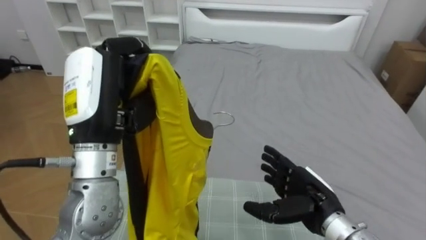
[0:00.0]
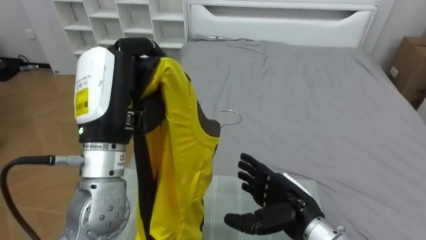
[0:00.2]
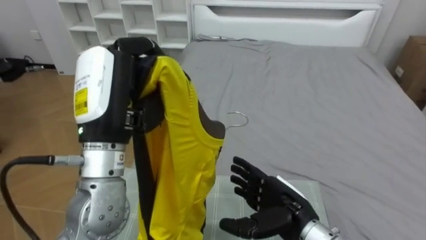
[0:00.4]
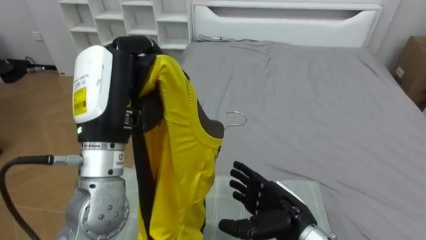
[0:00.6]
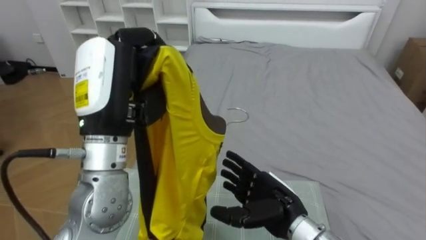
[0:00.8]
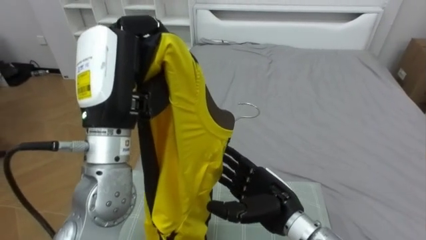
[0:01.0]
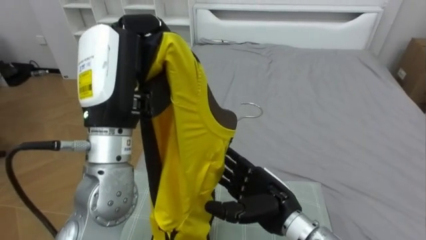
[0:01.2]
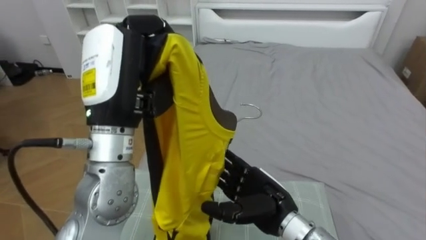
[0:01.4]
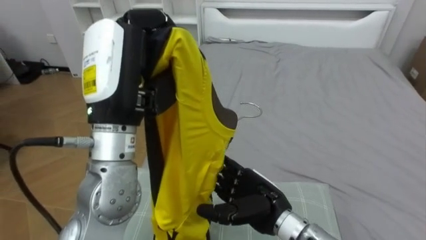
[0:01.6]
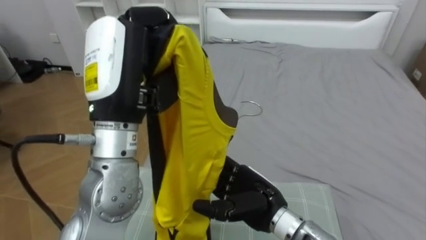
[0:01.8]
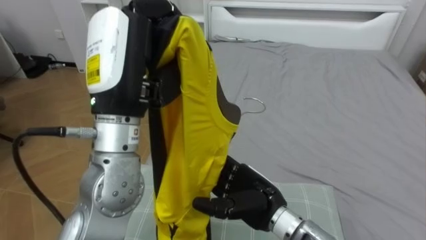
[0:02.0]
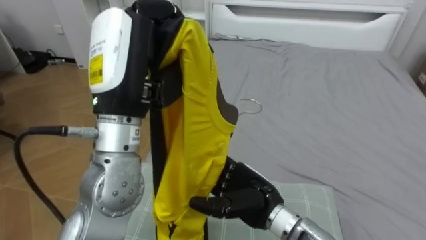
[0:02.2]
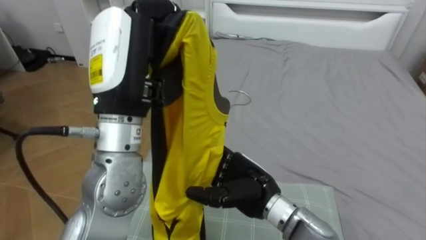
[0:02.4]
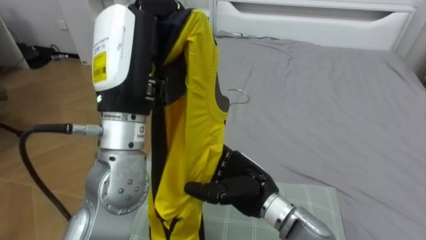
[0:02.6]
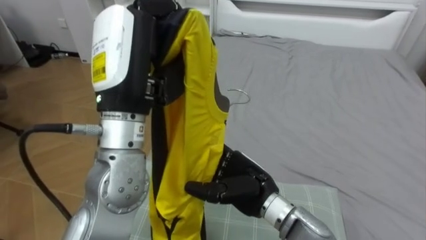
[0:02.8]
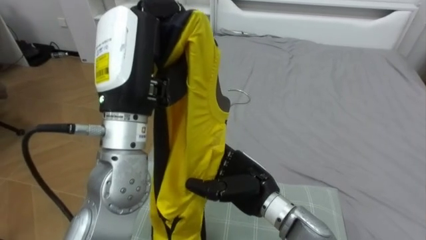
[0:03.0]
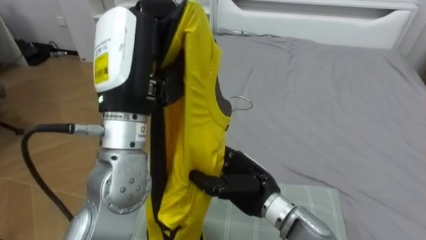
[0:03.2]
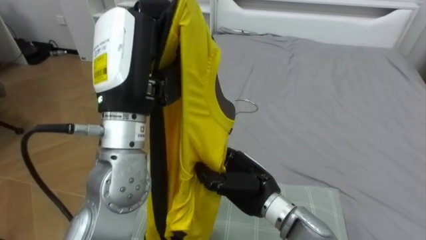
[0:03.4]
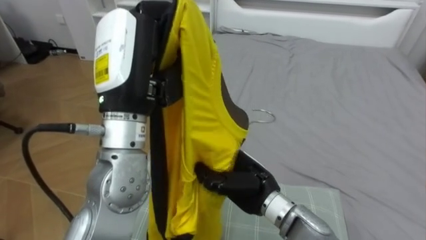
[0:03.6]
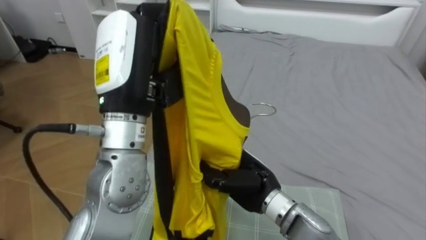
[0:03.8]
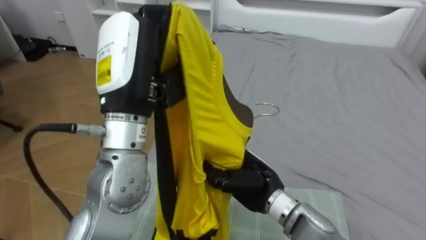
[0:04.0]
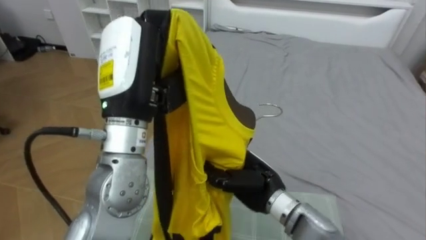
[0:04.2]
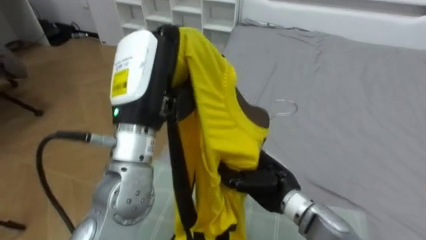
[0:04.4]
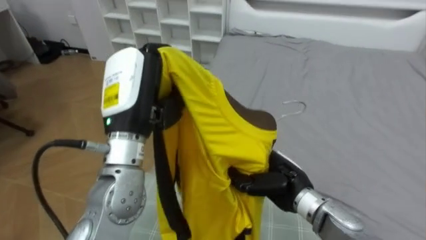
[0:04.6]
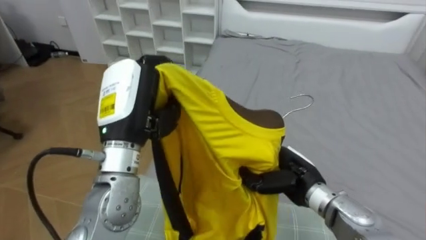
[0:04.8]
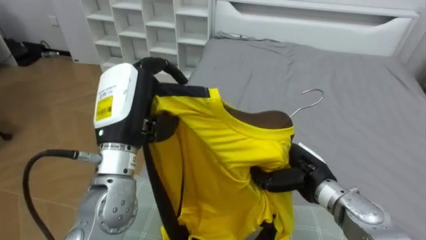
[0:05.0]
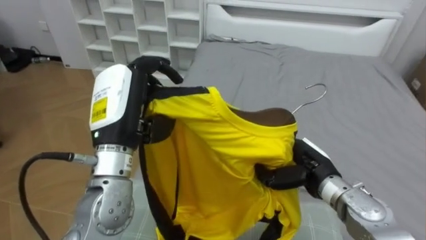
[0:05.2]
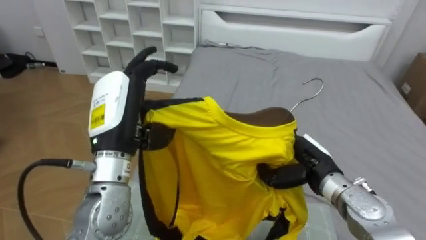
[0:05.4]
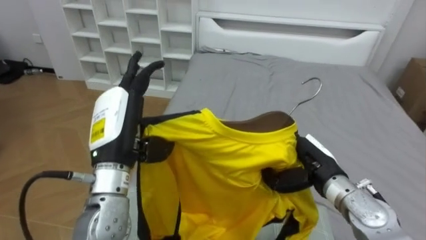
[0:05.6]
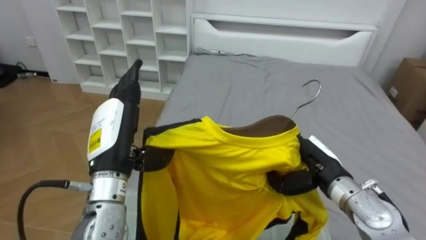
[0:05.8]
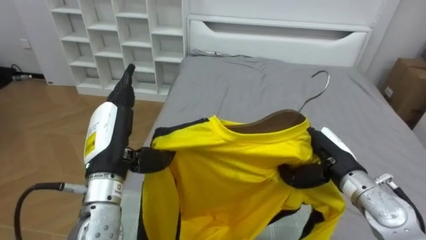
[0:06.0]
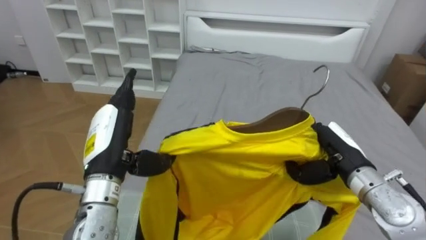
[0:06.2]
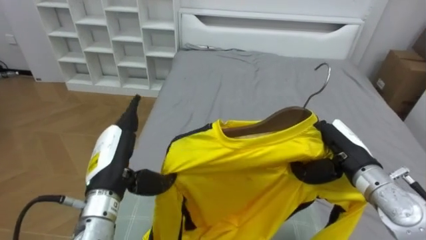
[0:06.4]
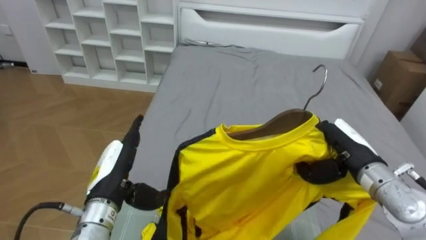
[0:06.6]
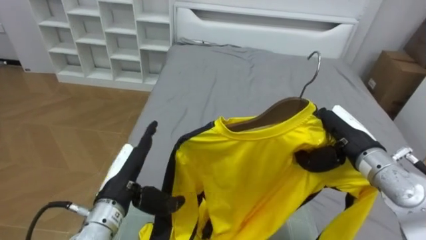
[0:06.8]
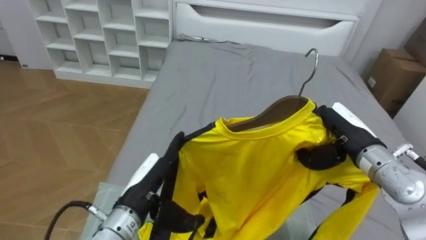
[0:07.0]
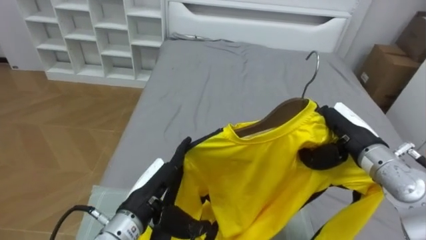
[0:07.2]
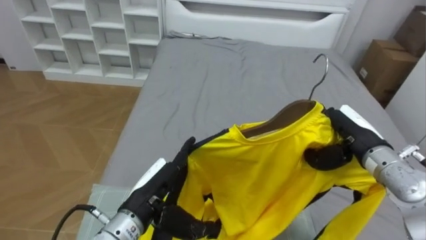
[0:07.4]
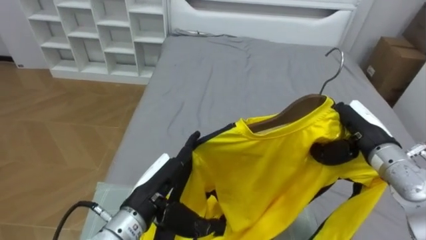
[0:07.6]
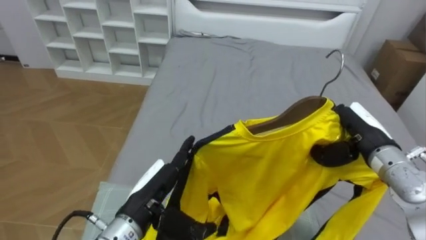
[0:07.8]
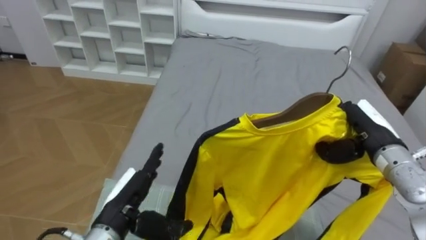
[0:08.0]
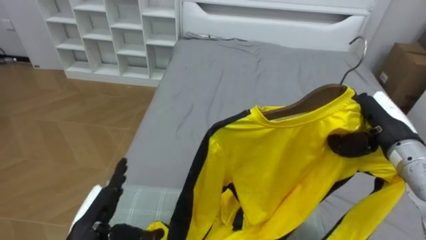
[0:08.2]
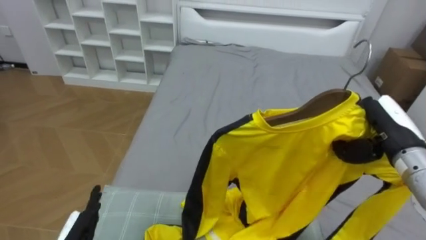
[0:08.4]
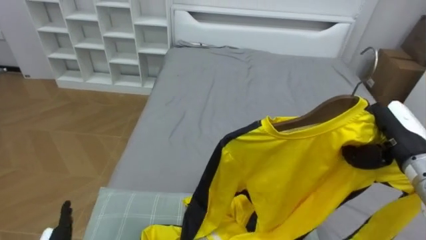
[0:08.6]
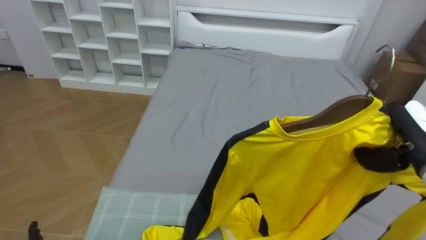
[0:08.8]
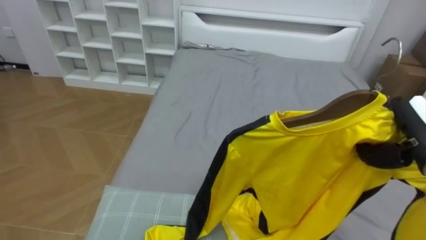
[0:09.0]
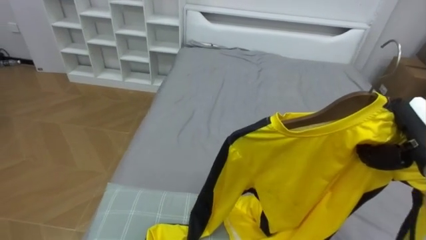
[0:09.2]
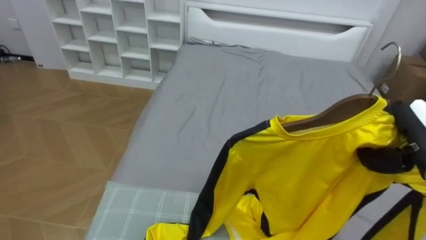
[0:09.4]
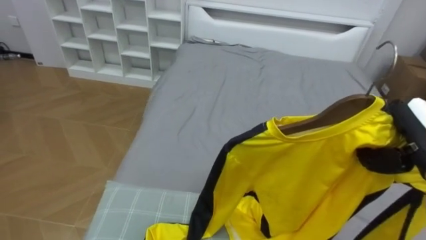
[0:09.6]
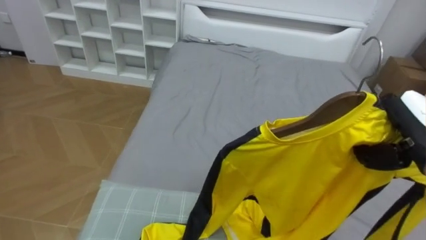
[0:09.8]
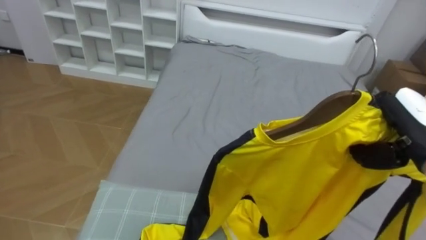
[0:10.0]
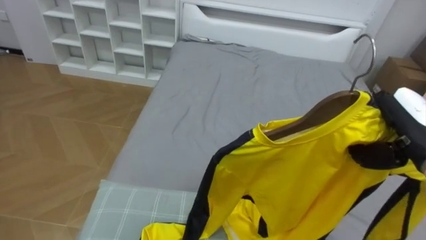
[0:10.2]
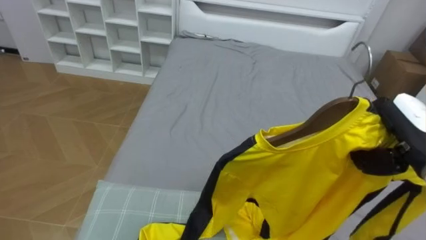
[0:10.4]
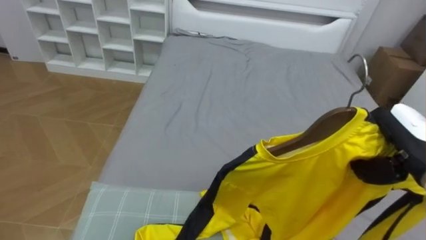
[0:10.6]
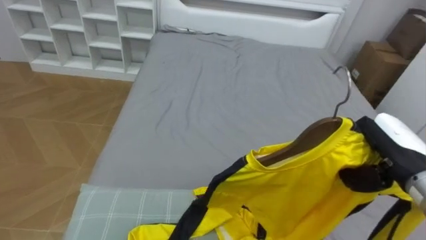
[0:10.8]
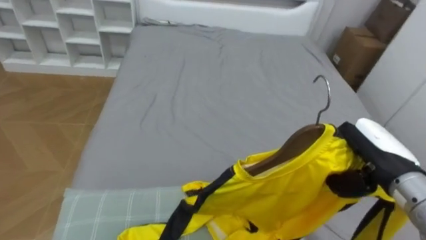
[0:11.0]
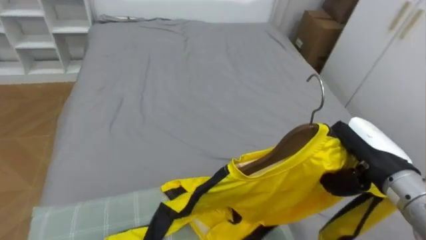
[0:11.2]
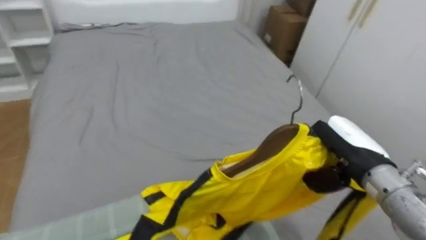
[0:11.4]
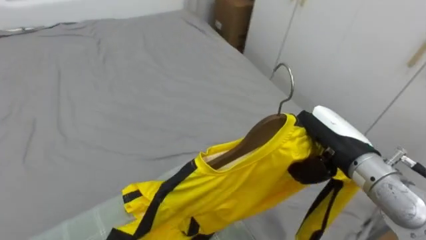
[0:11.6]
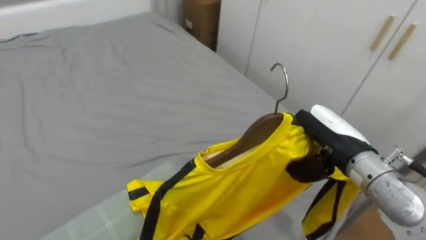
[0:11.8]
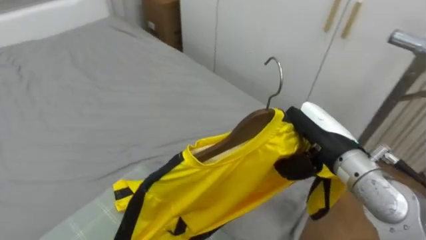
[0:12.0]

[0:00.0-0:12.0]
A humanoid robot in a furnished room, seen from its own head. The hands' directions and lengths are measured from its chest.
Task of the whole recording: Pick up the yellow shirt on the bed and hang it on the clothes rack on the right.
0:00.0 to 0:01.6: The right hand travels to the left by about 10 cm.
0:03.0 to 0:04.4: The right hand moves approximately 5 cm, and closes.
0:04.4 to 0:06.0: The left hand moves downward and to the left, some 15 cm, and opens up; the right hand travels to the right by approximately 10 cm.
0:06.0 to 0:07.6: The left hand shifts approximately 10 cm downward and to the right. Meanwhile the right hand moves approximately 5 cm.
0:07.6 to 0:09.0: The right hand moves to the right, about 5 cm.
0:10.4 to 0:12.0: The robot faces roughly 55 degrees further to its right. The right hand heads to the left, covering some 10 cm.

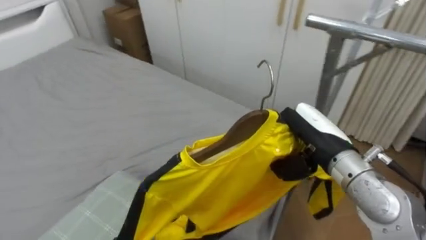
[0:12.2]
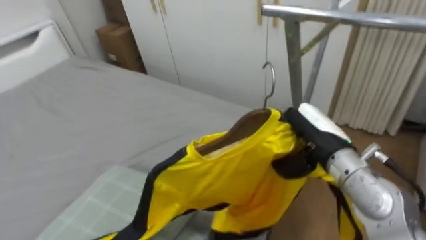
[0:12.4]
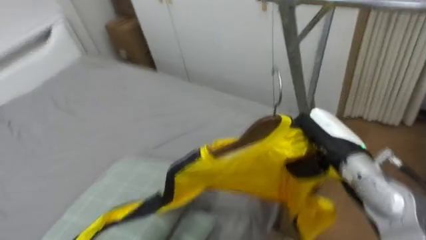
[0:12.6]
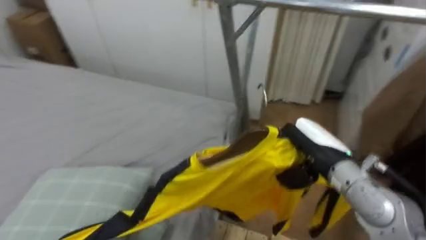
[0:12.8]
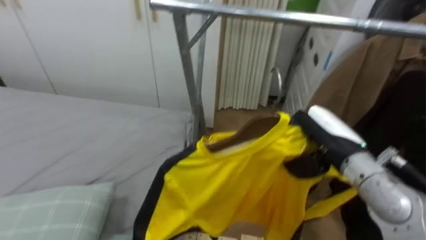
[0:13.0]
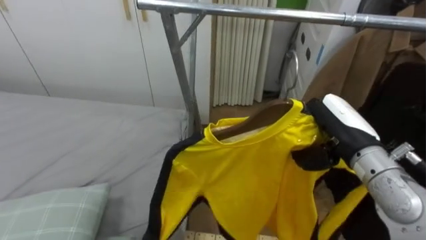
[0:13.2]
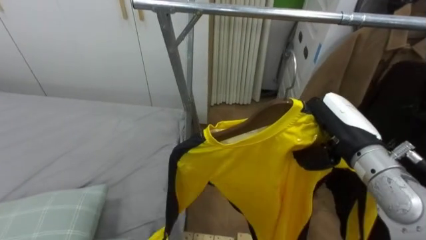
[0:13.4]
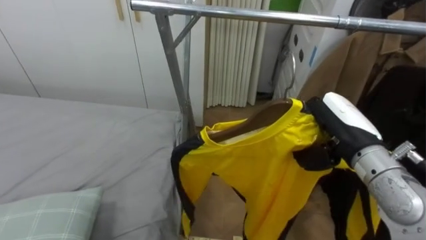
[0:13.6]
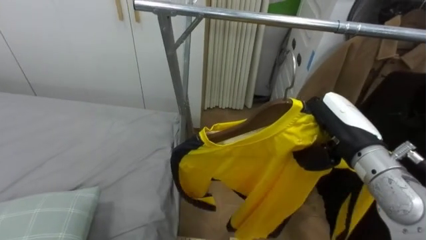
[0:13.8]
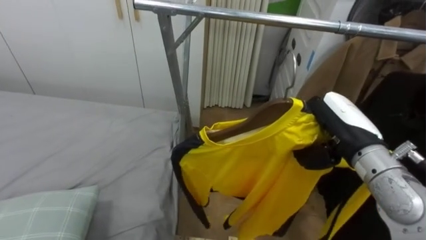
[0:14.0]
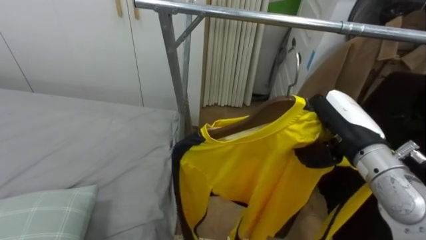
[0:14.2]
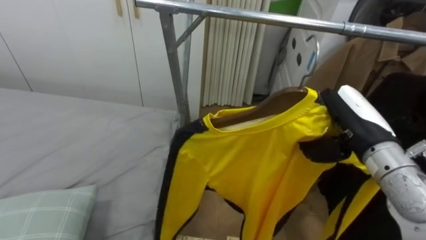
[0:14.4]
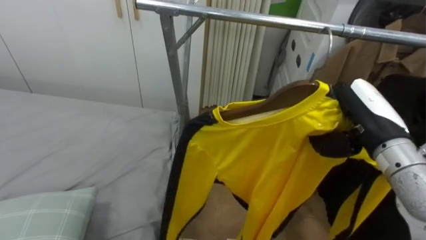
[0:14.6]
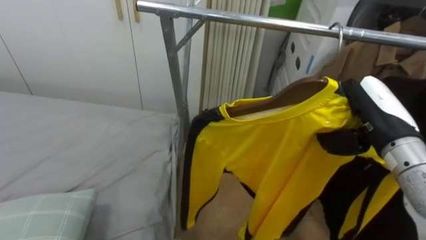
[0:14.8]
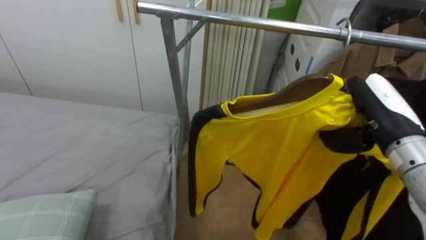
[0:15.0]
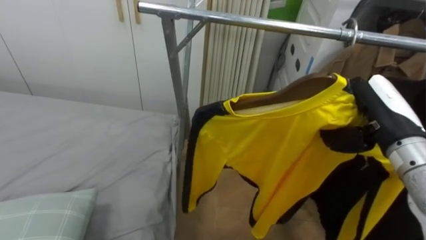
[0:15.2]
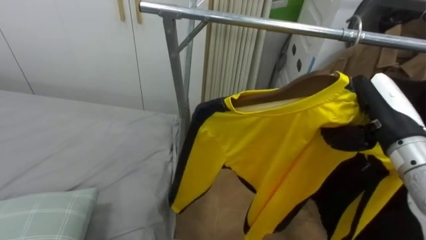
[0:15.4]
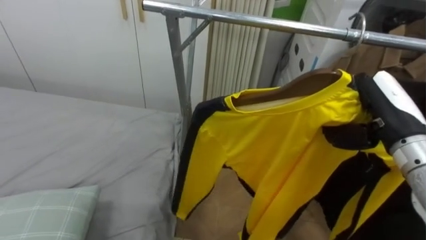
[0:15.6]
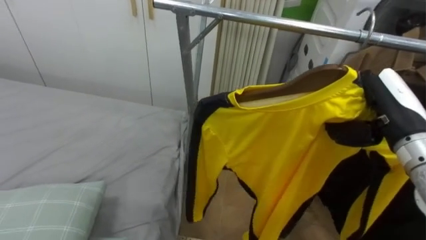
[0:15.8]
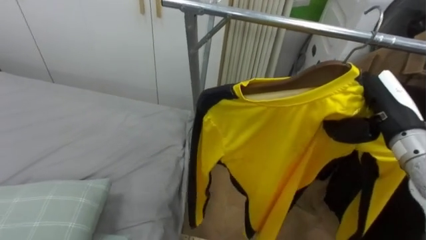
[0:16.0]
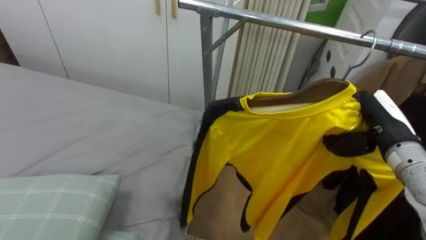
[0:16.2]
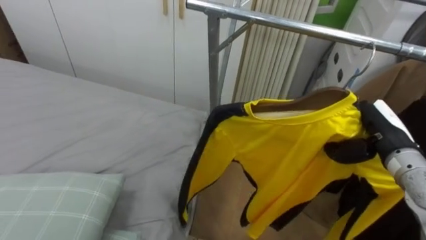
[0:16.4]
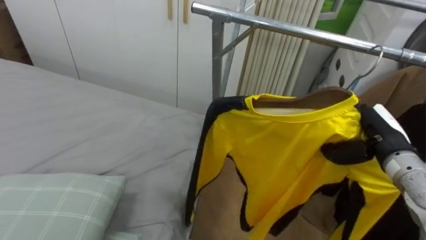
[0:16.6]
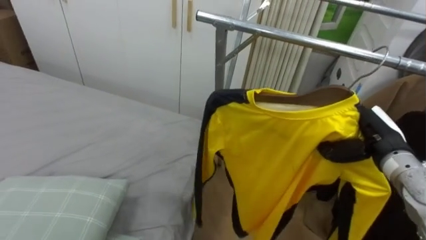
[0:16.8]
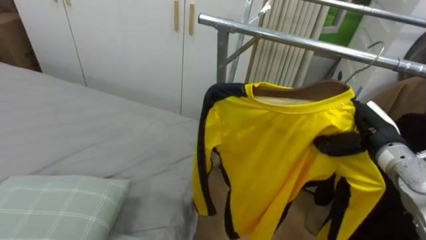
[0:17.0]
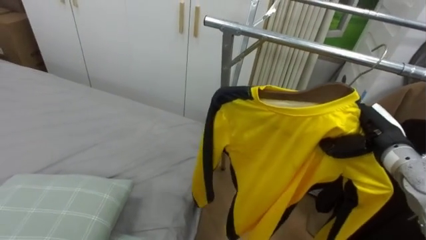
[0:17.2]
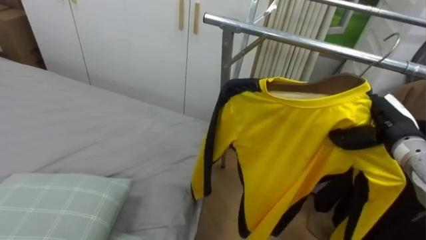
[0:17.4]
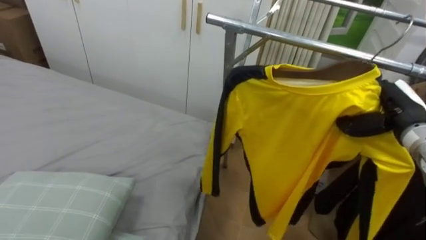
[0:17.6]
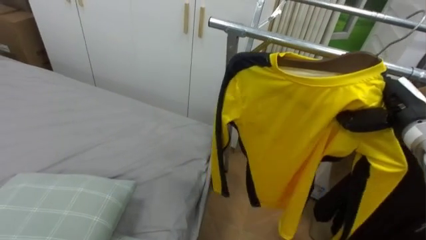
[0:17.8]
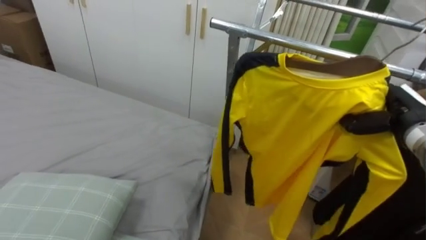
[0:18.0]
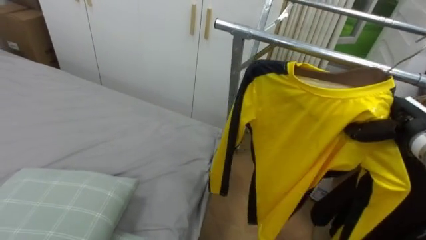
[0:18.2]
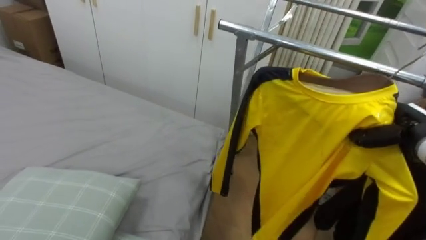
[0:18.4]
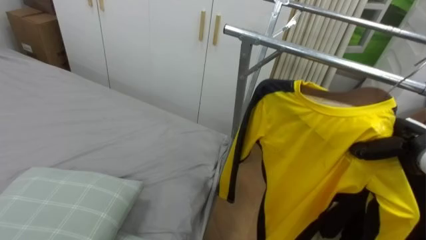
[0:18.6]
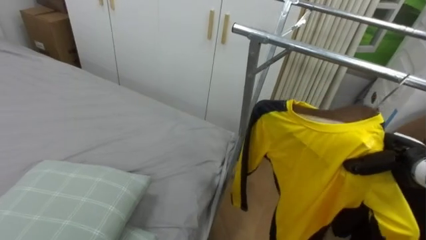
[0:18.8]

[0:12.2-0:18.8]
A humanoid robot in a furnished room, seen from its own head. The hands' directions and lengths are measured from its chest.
Task of the whole recording: Pick up the yellow shirt on the bed and hang it on the clothes rack on the right.
0:12.2 to 0:13.8: The robot faces approximately 30 degrees further to its right.
0:13.8 to 0:15.4: The right hand travels to the right by approximately 5 cm.
0:15.4 to 0:17.2: The right hand heads downward, covering roughly 10 cm.
0:17.2 to 0:18.8: The right hand goes some 10 cm downward and to the right.
